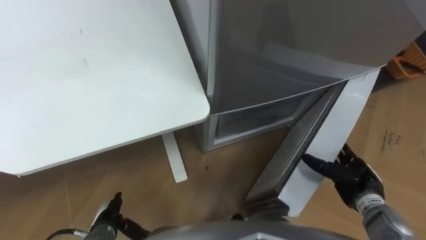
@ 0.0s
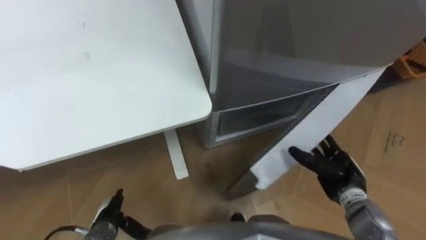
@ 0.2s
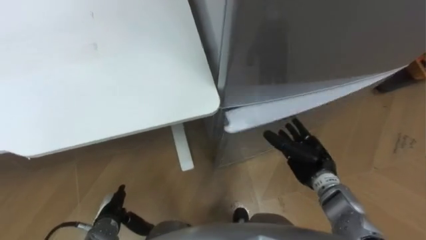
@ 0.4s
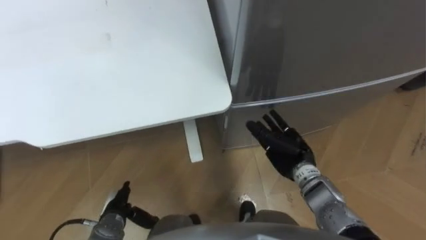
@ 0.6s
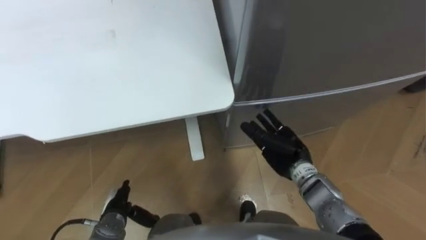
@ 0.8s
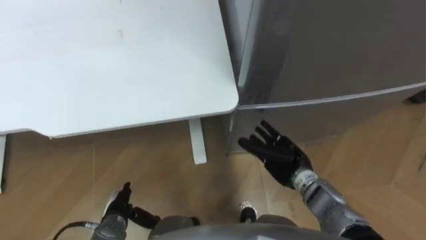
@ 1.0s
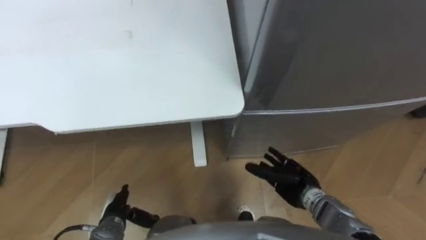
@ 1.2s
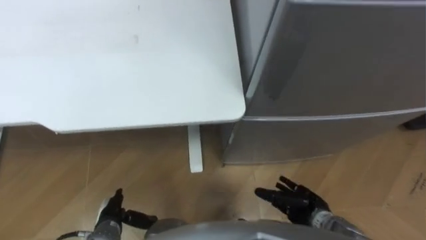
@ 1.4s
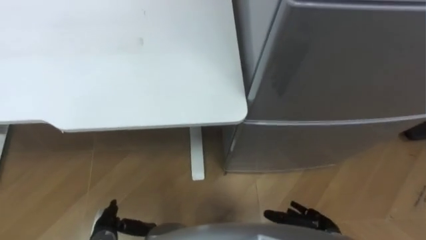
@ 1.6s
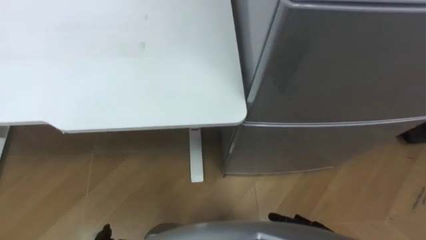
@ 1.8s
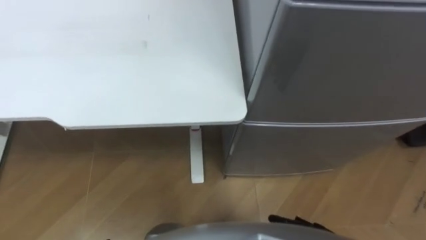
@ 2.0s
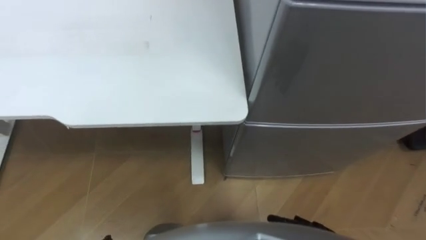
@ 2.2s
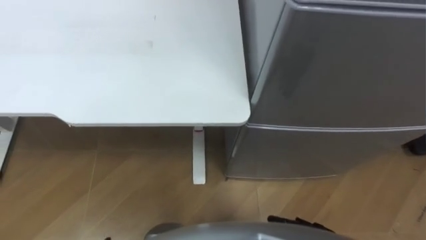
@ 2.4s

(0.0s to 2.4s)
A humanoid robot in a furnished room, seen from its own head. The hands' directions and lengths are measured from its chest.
Task of the whole recording: Place the drink on the table on the bottom shelf of the refrigerator, then close the drawer and the refrigerator door.
0.0s - 1.2s: The right hand heads to the left, covering some 15 cm.

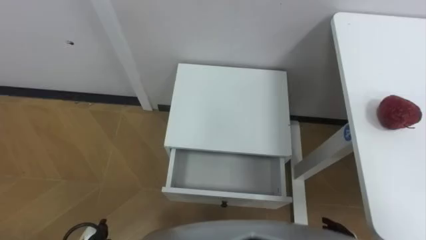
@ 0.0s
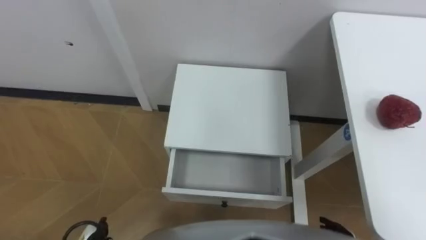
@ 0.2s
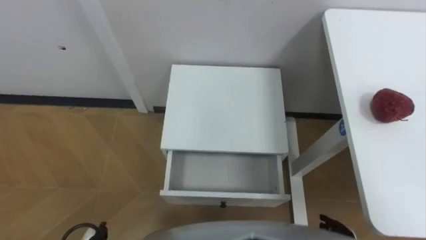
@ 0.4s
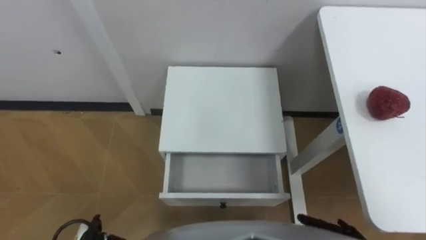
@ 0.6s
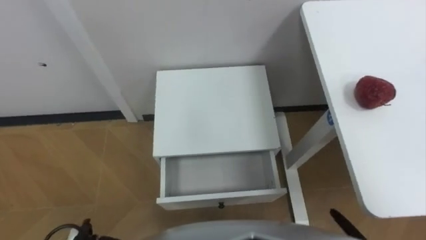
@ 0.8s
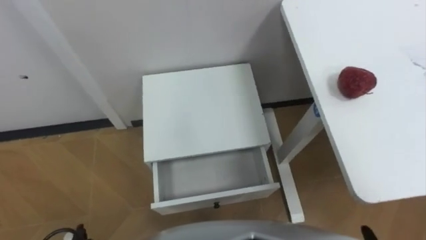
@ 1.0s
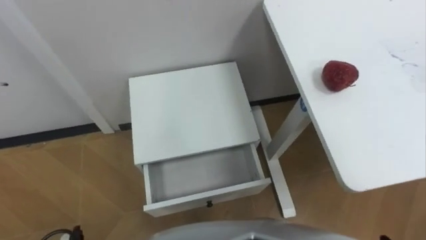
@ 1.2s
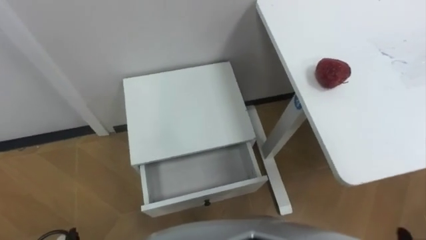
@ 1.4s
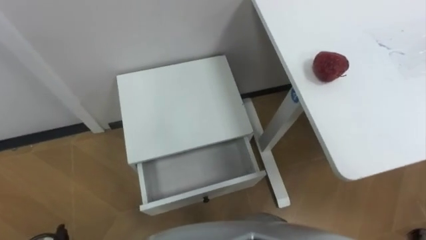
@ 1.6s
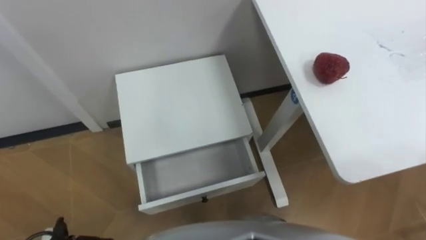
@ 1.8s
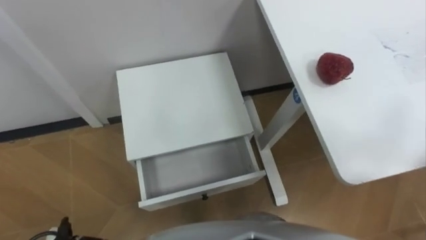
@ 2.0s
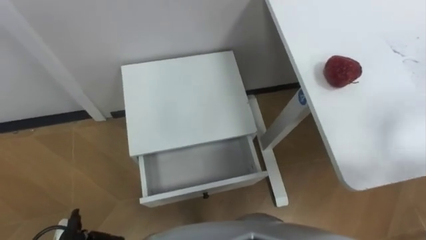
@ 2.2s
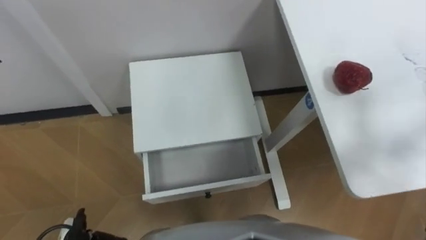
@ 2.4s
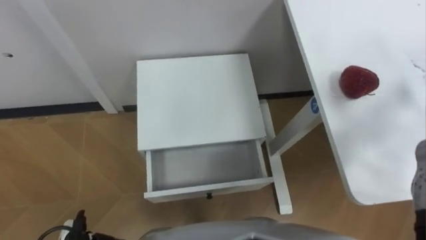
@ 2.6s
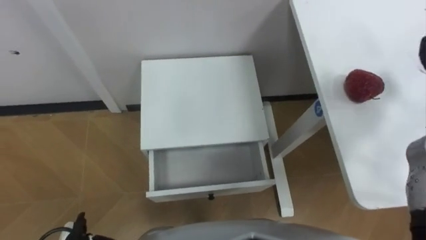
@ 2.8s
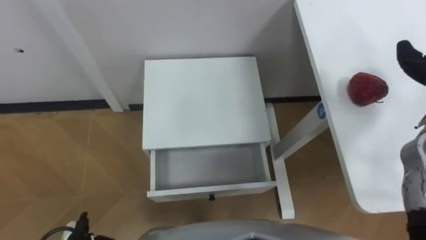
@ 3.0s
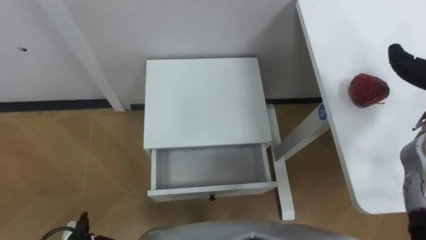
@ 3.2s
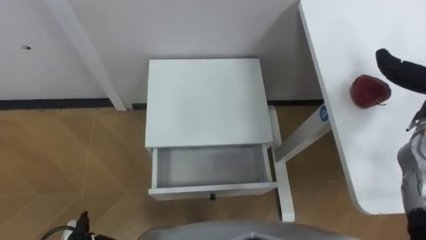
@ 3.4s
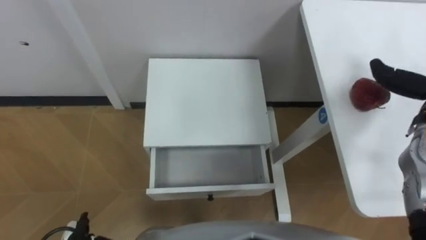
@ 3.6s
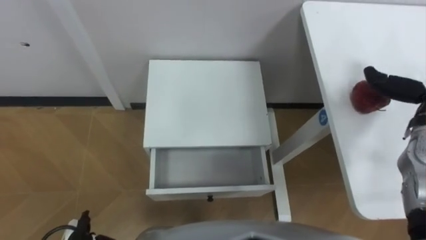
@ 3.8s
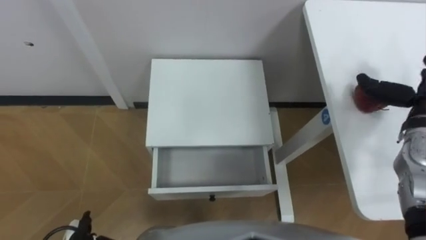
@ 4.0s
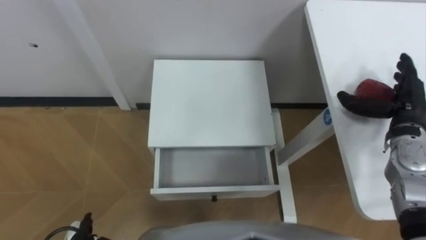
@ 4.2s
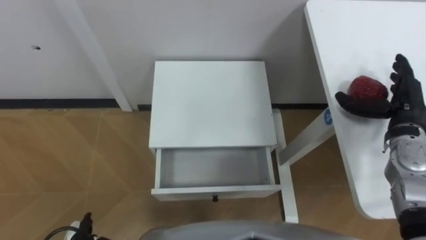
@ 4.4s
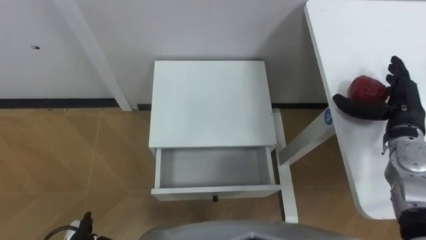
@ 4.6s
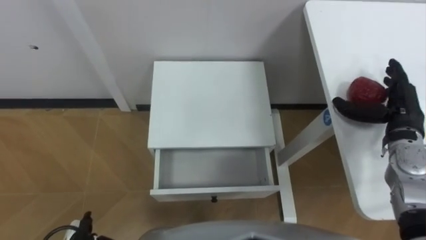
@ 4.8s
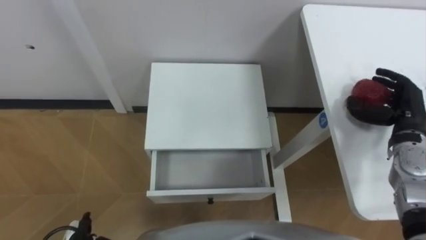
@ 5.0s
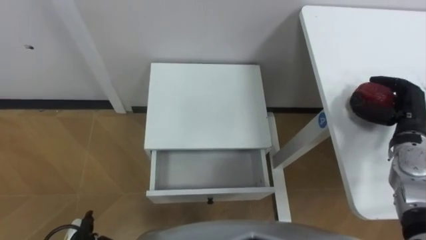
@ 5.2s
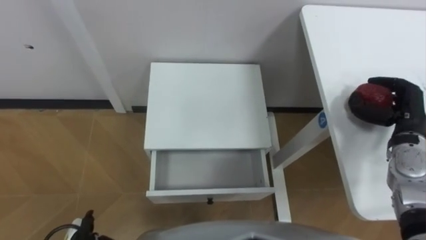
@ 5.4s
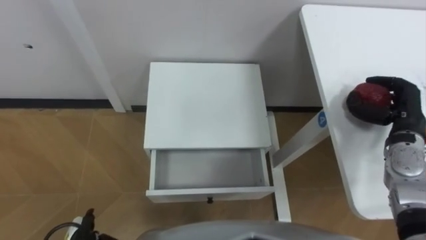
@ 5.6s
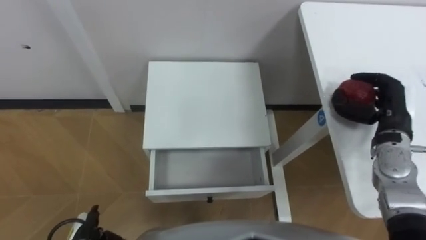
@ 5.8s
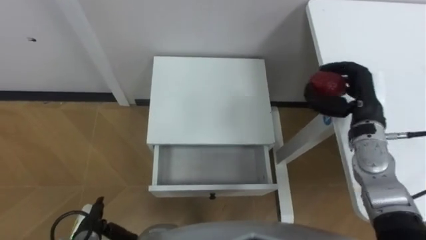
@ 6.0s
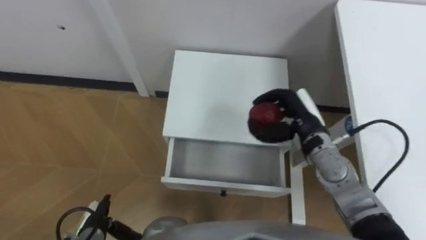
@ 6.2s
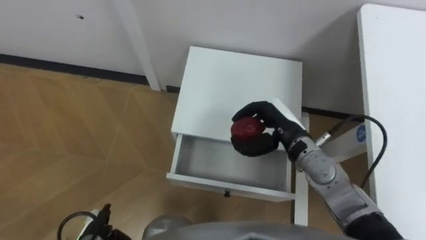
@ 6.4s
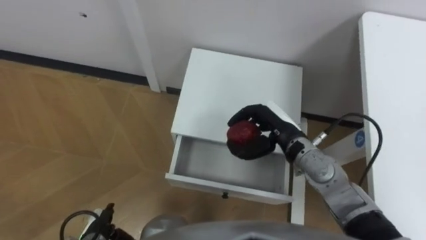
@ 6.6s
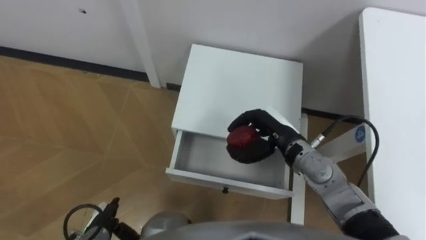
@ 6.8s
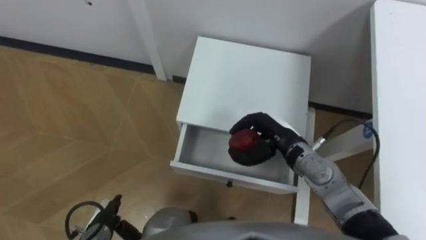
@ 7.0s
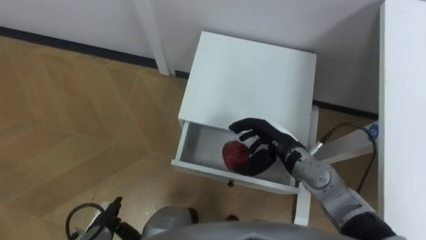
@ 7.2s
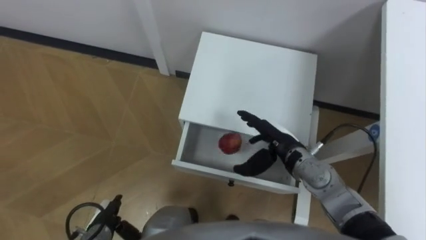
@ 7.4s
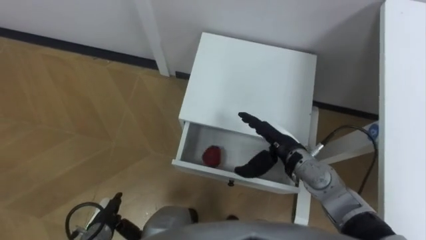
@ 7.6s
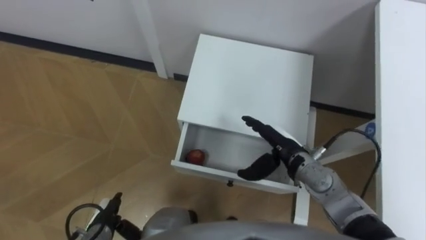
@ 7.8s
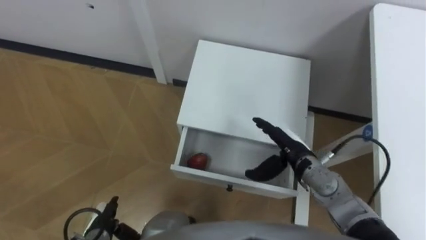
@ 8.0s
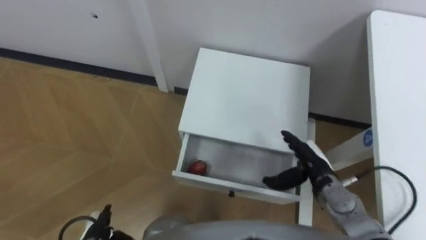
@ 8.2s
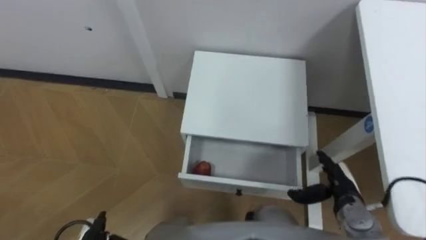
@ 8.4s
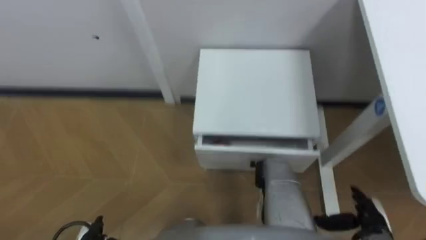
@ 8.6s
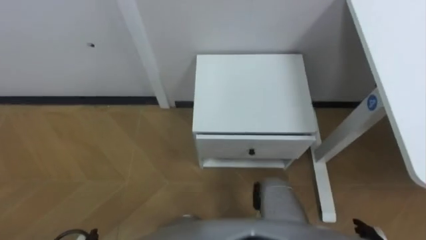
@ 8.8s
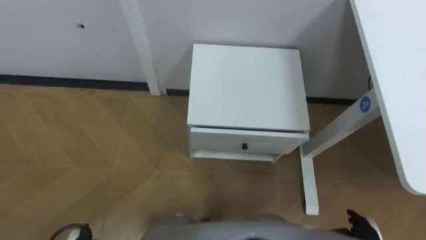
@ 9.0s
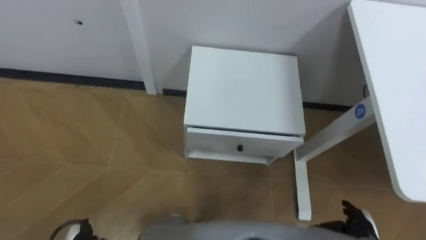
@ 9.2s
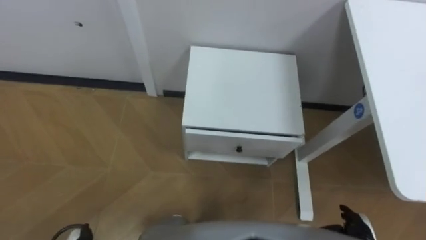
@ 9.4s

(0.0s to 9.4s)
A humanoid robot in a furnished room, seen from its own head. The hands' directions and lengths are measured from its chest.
Task of the whole recording: Pick up the apple from the table, put it in the drawer, and close the drawer with leg.
4.8s - 6.2s: The right hand goes about 20 cm to the left, and closes its fingers.
6.2s - 7.8s: The right hand moves downward, about 5 cm, and opens up.

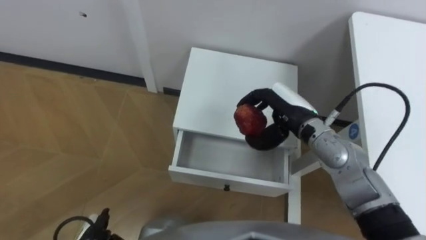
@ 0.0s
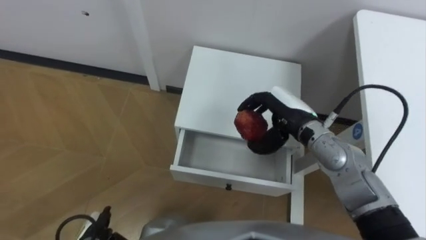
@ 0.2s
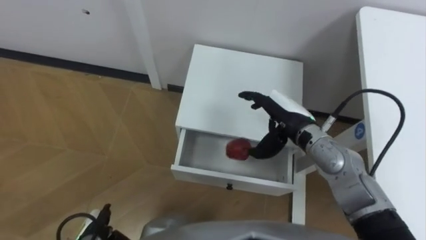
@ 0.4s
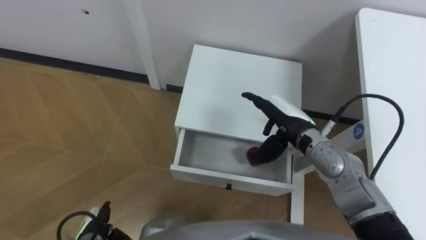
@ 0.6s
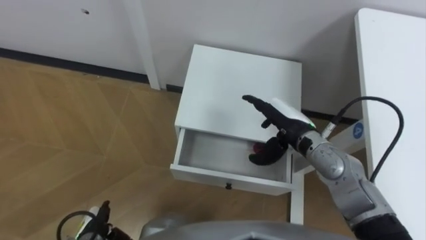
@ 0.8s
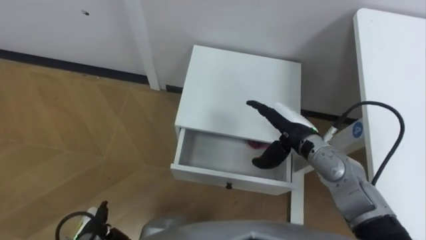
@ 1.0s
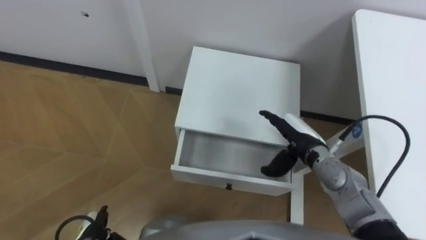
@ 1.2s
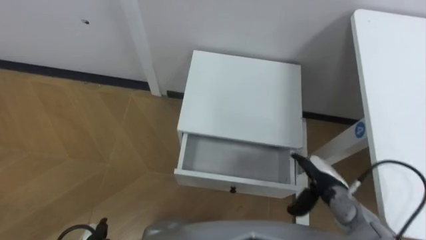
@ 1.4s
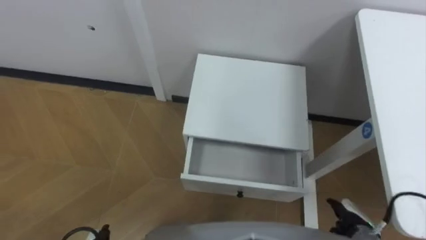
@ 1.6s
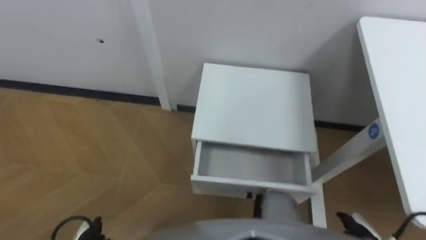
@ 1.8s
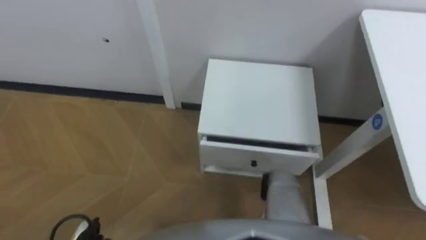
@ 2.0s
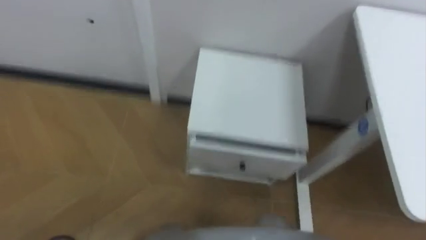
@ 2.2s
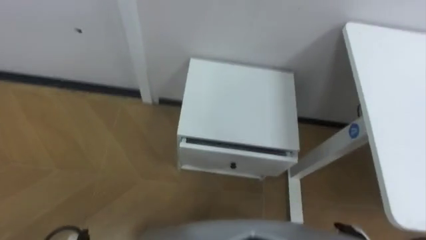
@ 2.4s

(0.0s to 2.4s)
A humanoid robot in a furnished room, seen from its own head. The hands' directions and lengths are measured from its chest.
Task of the whole recording: Pick up the apple from the table, put it in the drawer, and close the drawer with leg.
0.0s - 1.2s: The right hand travels downward by approximately 5 cm, and opens its fingers.

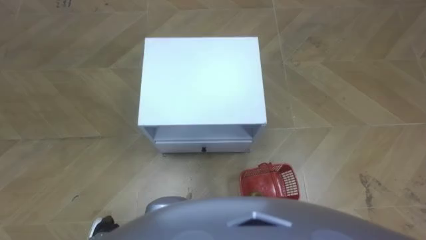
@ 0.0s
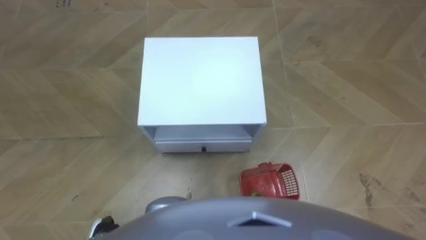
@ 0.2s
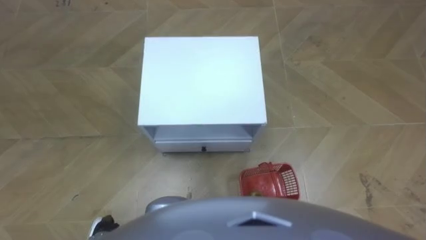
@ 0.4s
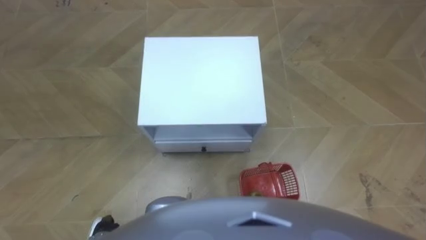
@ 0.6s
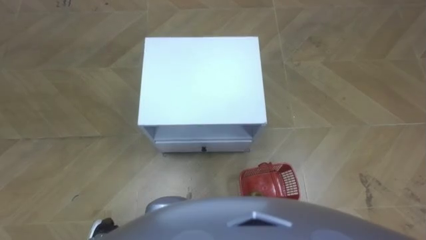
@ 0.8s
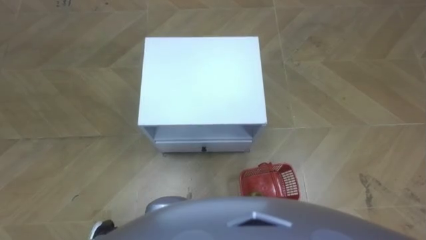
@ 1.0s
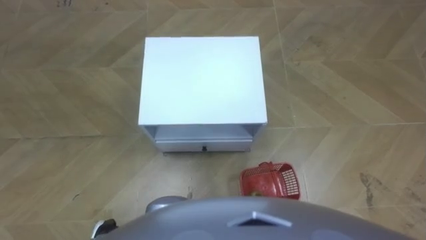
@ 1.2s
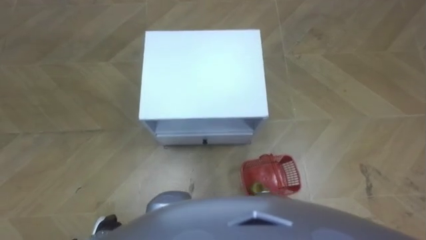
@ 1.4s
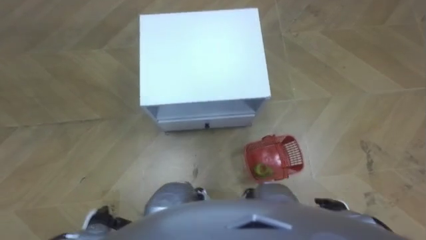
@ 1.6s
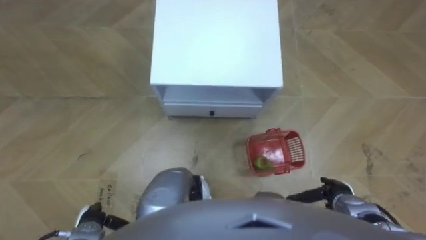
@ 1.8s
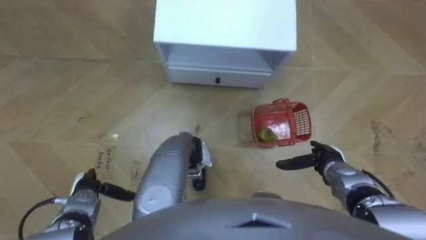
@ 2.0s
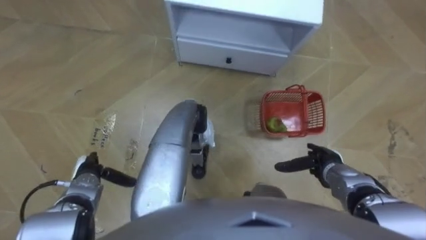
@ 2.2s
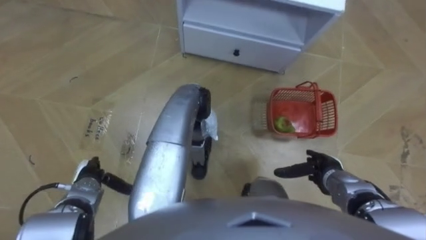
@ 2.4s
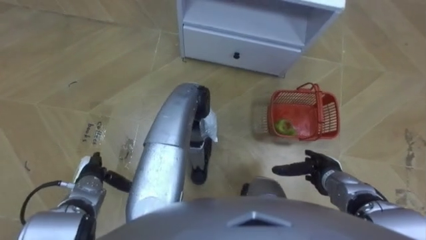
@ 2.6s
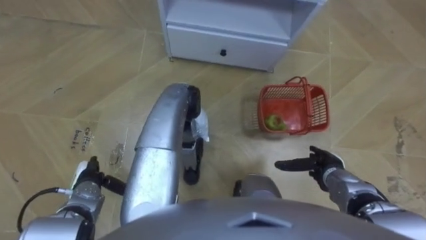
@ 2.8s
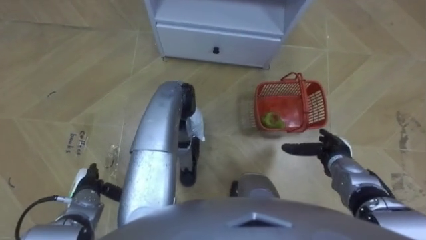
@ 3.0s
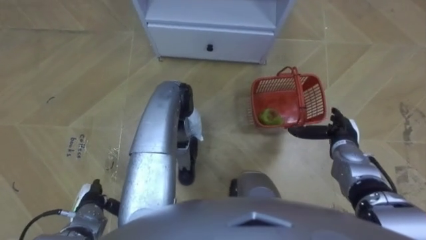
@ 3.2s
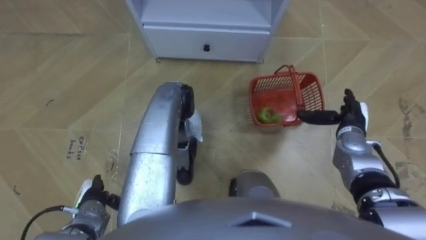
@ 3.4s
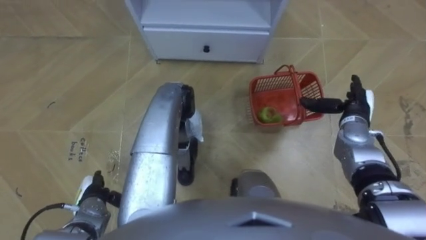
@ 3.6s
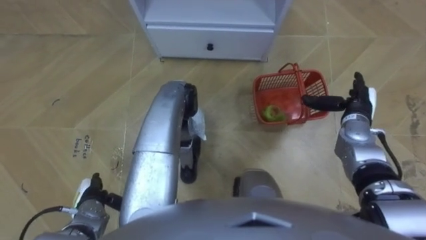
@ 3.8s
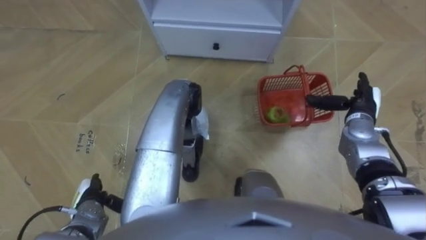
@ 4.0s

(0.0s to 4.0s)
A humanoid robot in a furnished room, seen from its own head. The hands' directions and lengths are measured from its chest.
Task of the whole recording: Pick up the fruit basket from the floor and place it on the cabinet.
1.4s - 2.6s: The hands both shift forward by about 15 cm.
2.6s - 4.0s: The left hand is displaced backward by roughly 5 cm. Meanwhile the right hand is displaced forward, upward and to the right by some 15 cm.
